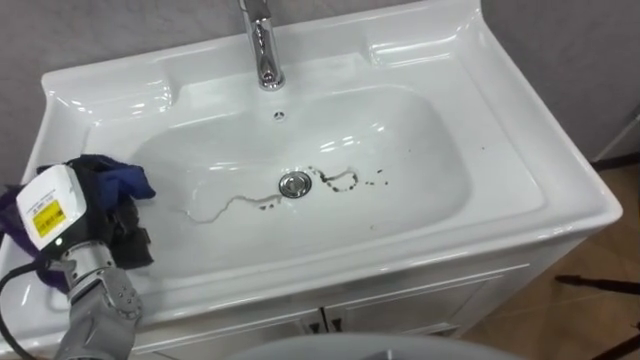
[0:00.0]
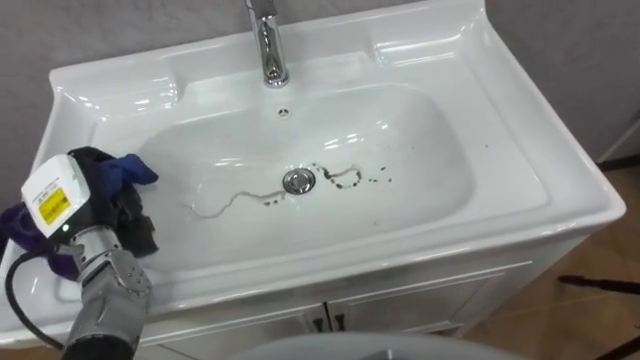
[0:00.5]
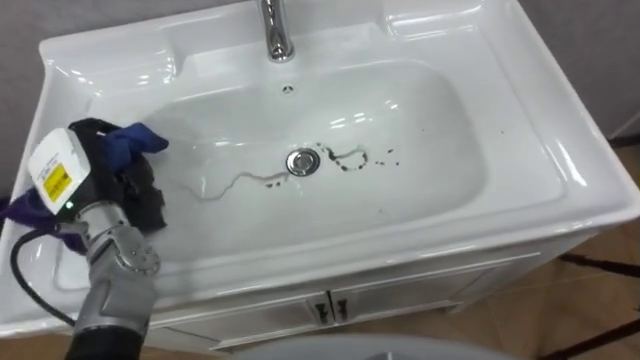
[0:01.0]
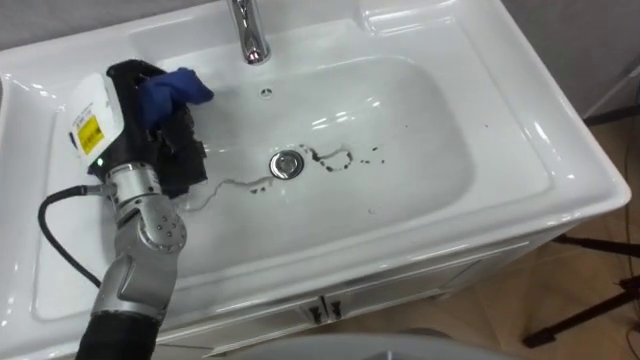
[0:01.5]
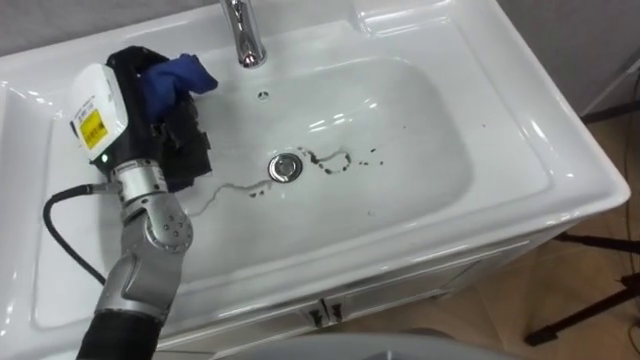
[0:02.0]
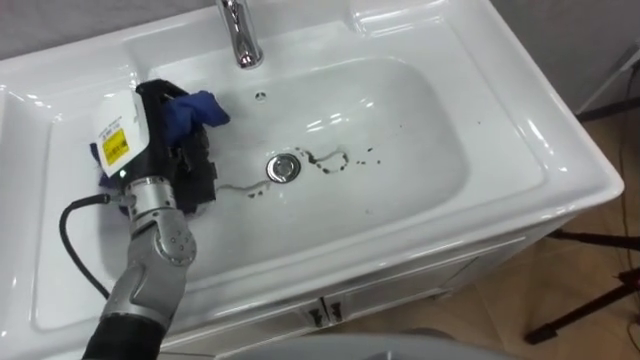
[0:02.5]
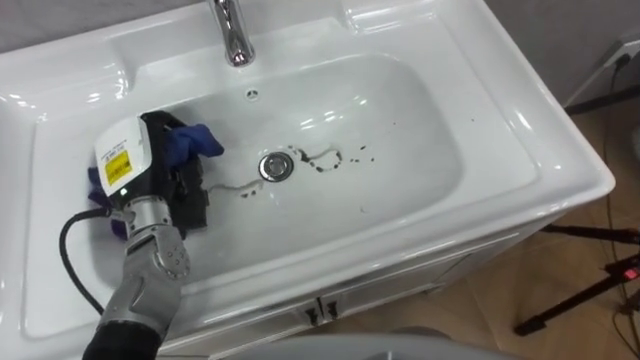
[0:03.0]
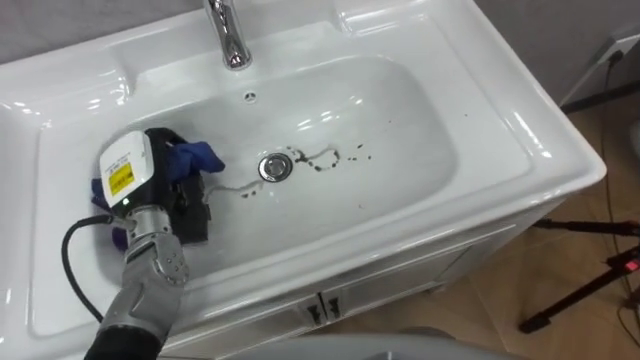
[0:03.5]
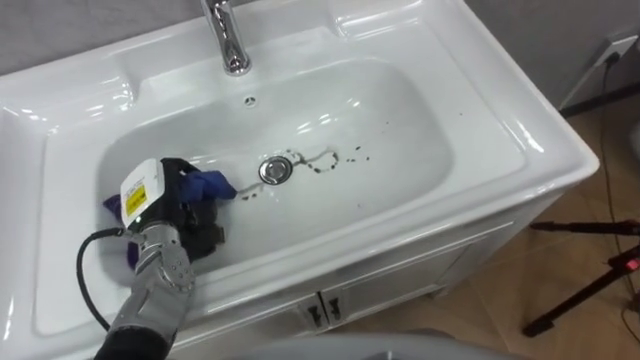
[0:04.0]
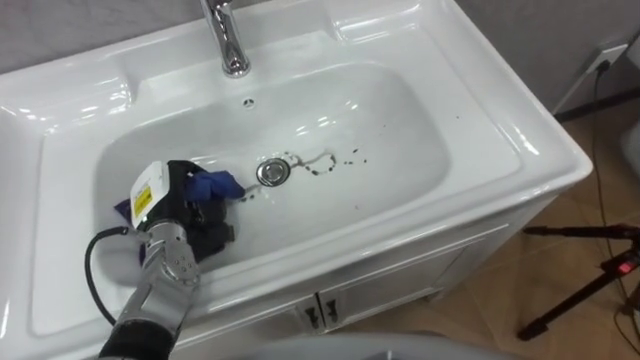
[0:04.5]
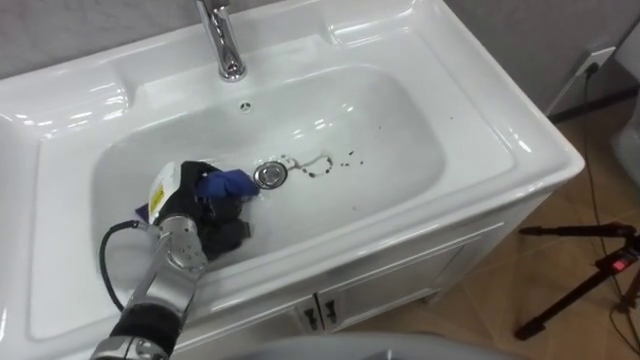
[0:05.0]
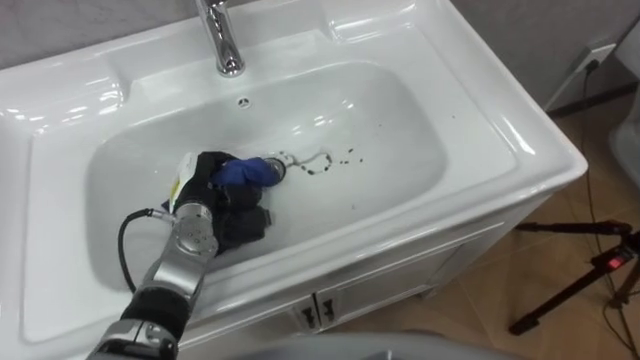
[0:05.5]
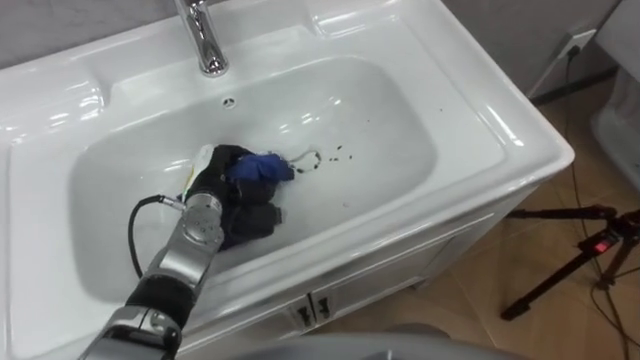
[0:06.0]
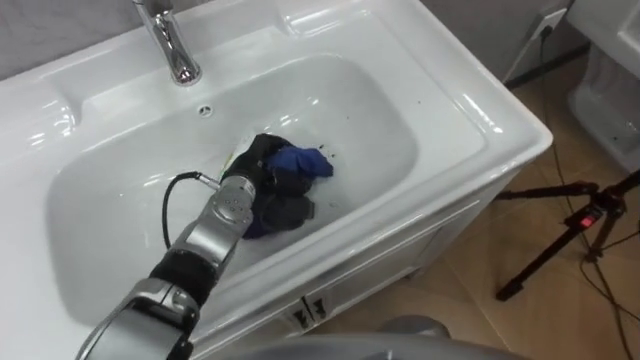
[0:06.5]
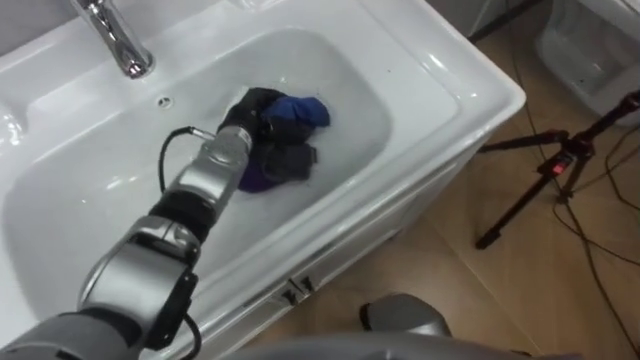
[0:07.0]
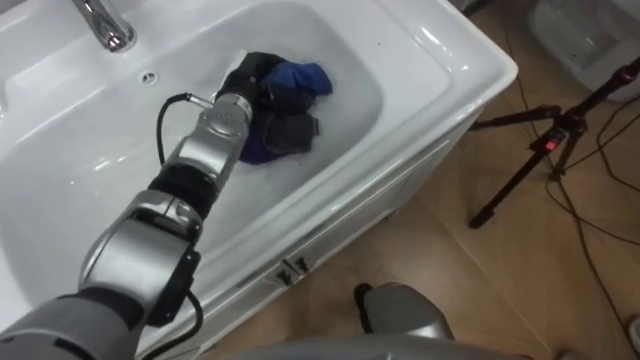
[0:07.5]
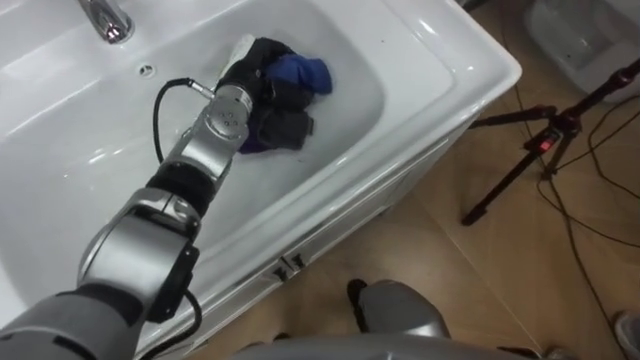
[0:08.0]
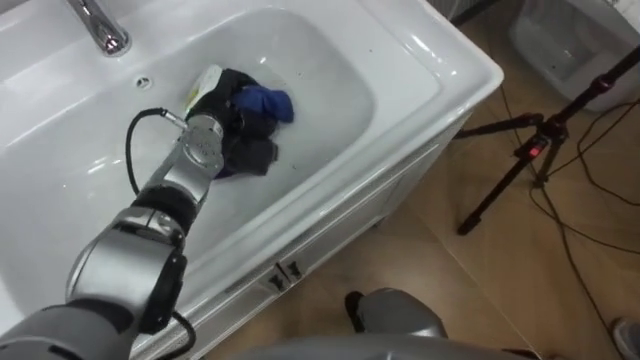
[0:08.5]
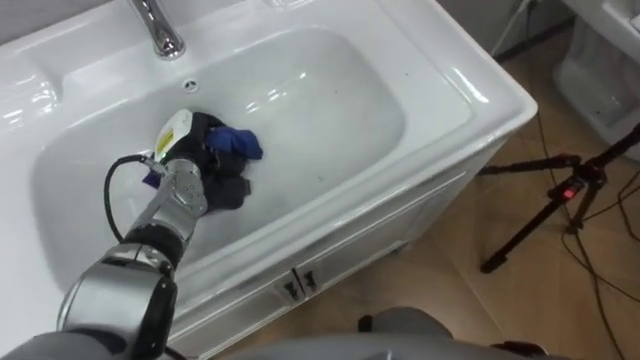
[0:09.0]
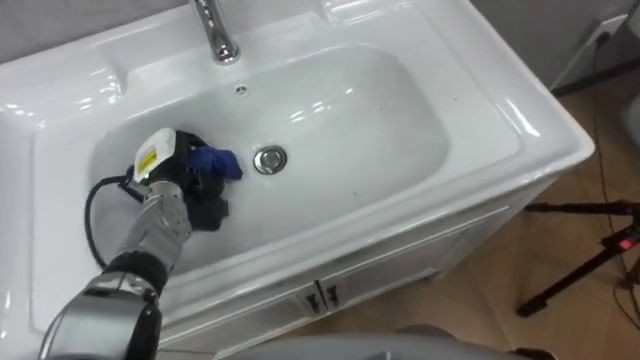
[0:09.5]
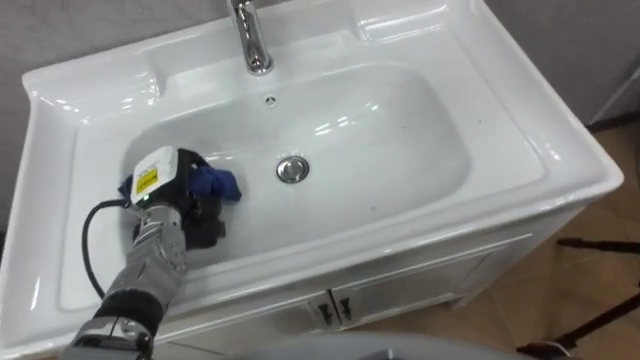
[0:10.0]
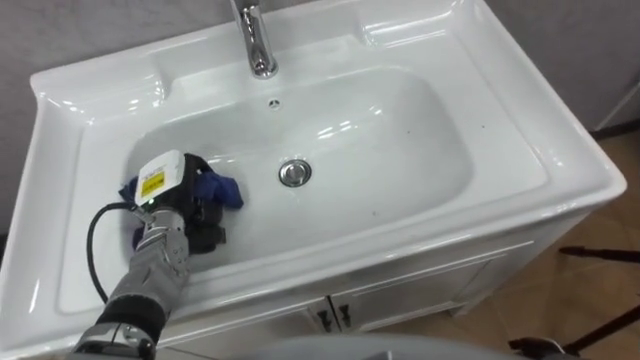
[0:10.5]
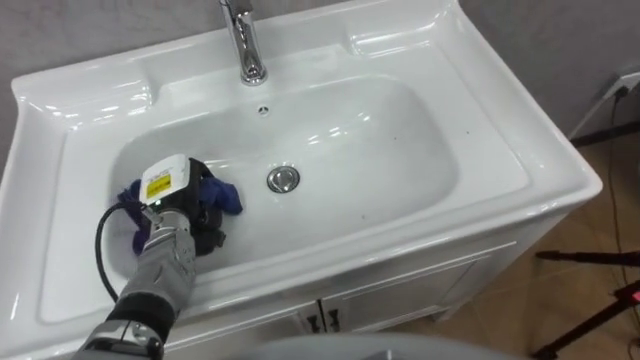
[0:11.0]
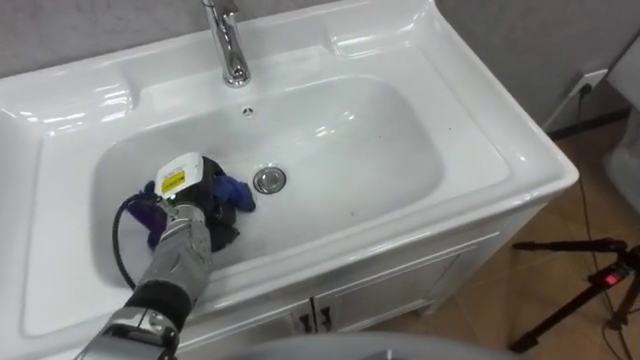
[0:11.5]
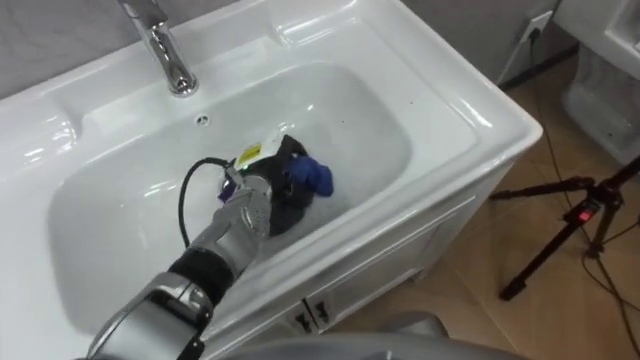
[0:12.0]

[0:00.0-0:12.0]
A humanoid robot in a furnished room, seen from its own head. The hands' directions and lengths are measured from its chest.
Task of the whole recording: Use the cloth on the right to wipe away the black stain in the sink.
0:00.0 to 0:02.0: The left hand shifts about 15 cm upward, to the right and forward.
0:02.0 to 0:04.0: The left hand shifts roughly 15 cm downward.
0:04.0 to 0:06.0: The left hand travels to the right by approximately 5 cm.
0:06.0 to 0:08.0: The left hand goes about 15 cm forward, upward and to the right.
0:08.0 to 0:10.0: The left hand goes some 20 cm backward, to the left and downward.
0:10.0 to 0:12.0: The left hand goes roughly 15 cm to the right.

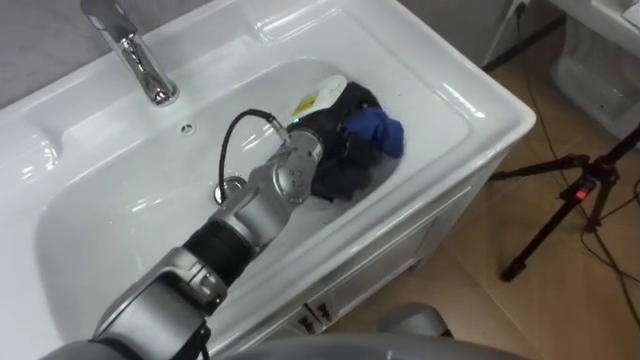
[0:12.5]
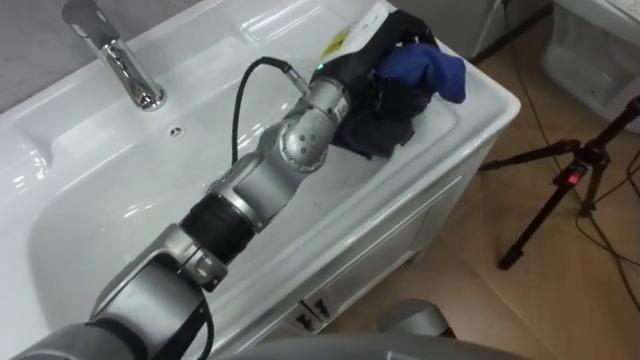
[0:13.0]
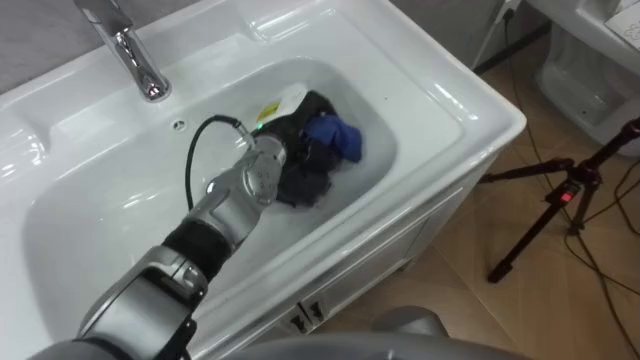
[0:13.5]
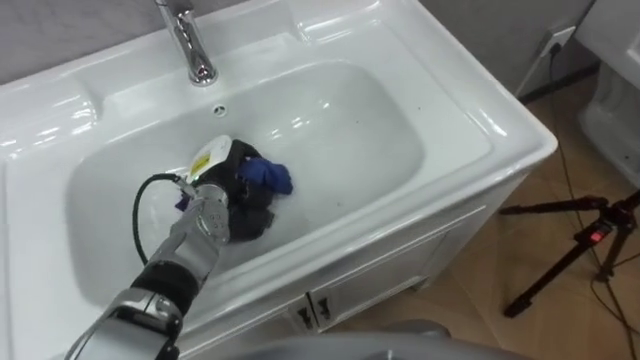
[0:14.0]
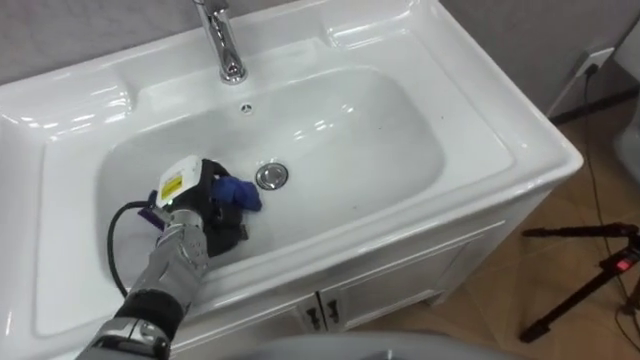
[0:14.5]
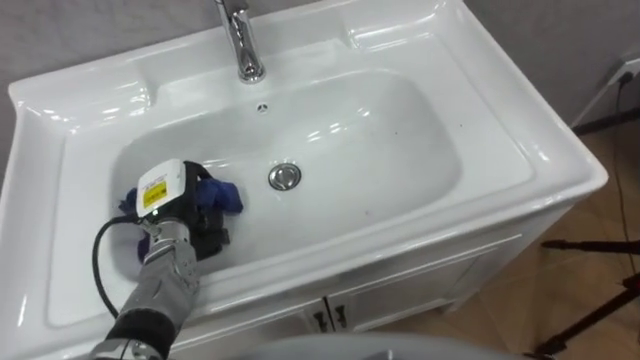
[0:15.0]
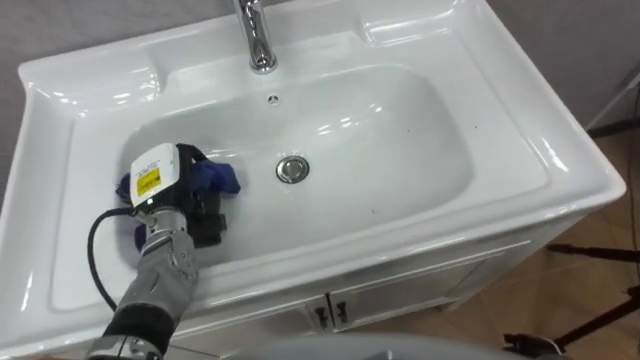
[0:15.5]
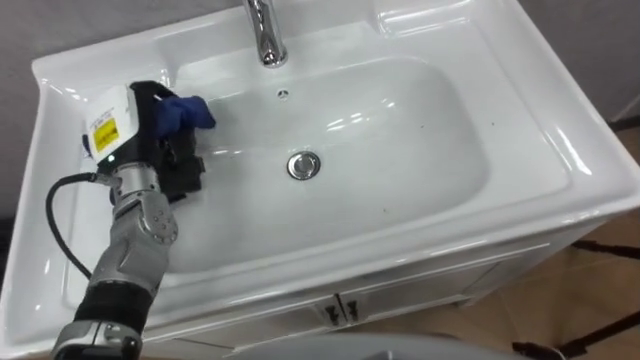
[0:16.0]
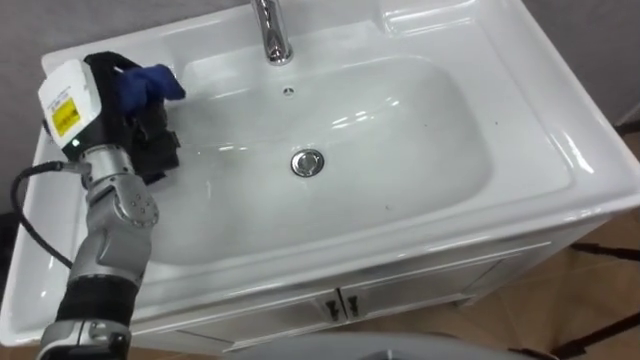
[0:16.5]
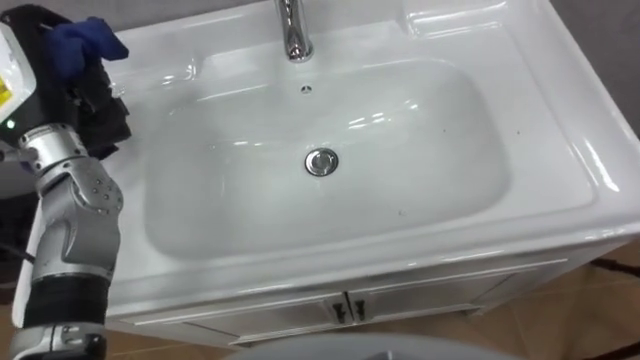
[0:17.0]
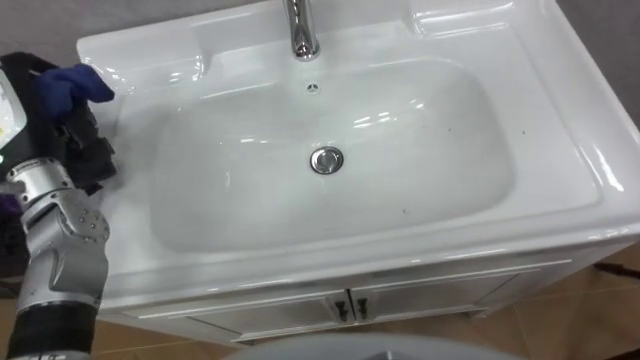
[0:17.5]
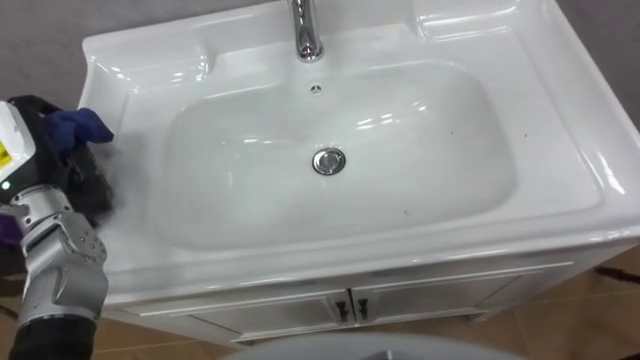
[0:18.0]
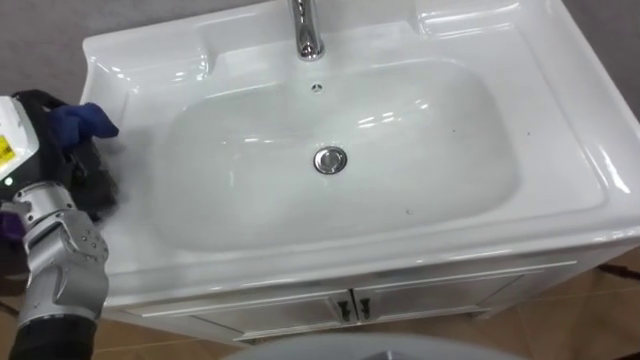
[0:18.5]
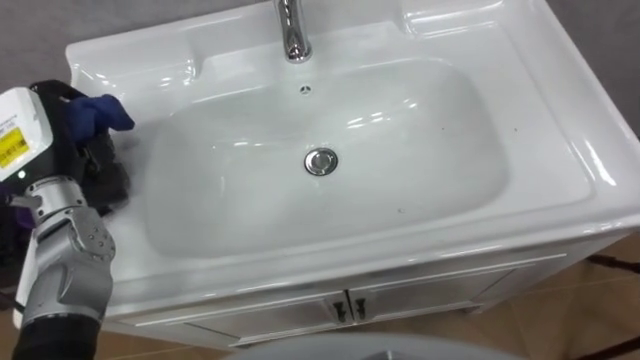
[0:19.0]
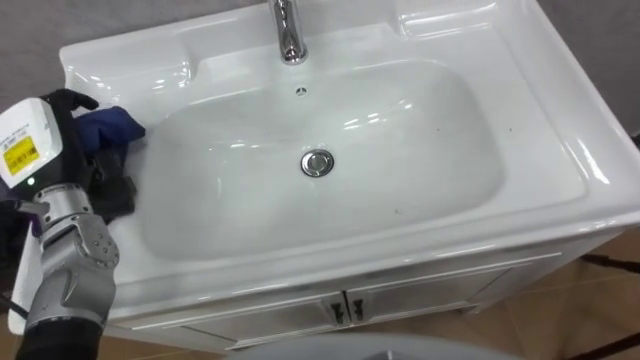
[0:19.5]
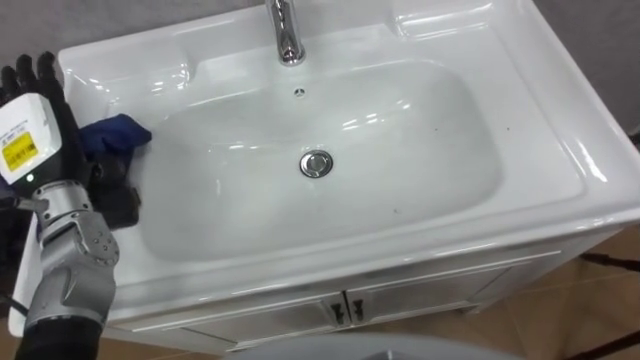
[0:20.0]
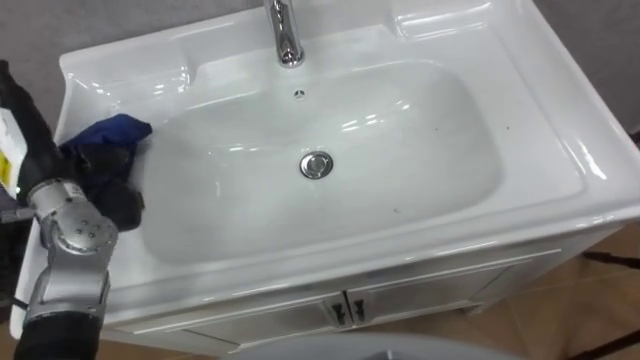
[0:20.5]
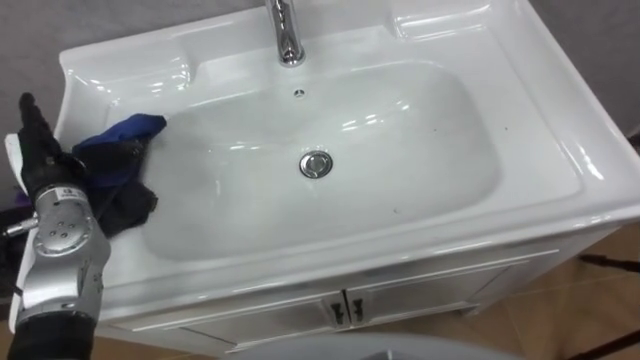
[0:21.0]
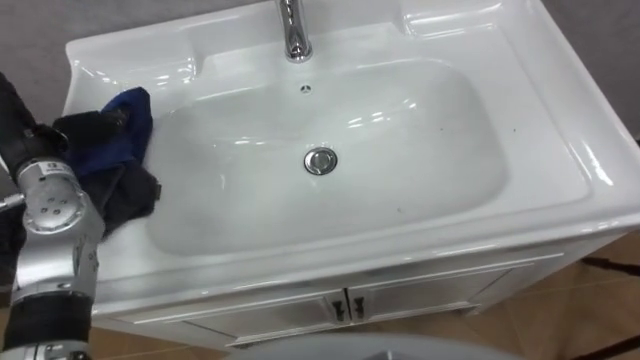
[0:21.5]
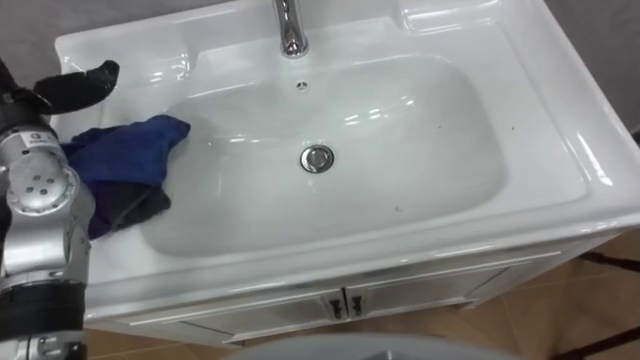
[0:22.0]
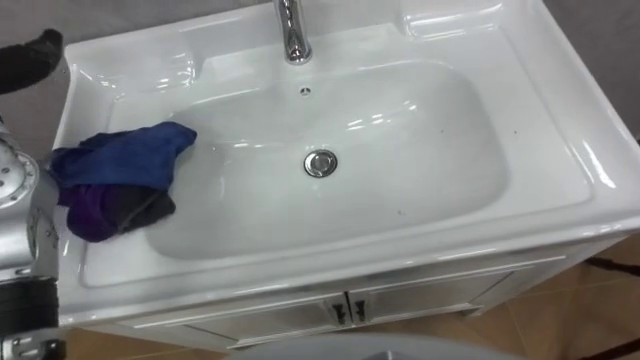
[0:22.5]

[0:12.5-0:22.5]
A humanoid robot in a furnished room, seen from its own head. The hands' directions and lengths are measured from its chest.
Task of the whole recording: Use the cloth on the right to wipe away the black stain in the sink.
0:12.5 to 0:14.5: The left hand heads to the left and downward, covering about 25 cm.
0:14.5 to 0:16.5: The left hand goes approximately 15 cm upward and to the left.
0:18.5 to 0:20.5: The left hand opens up.
